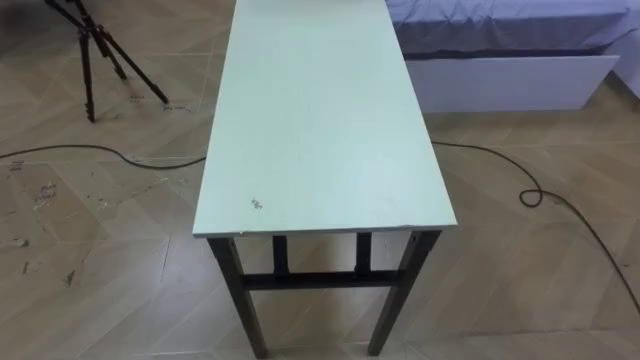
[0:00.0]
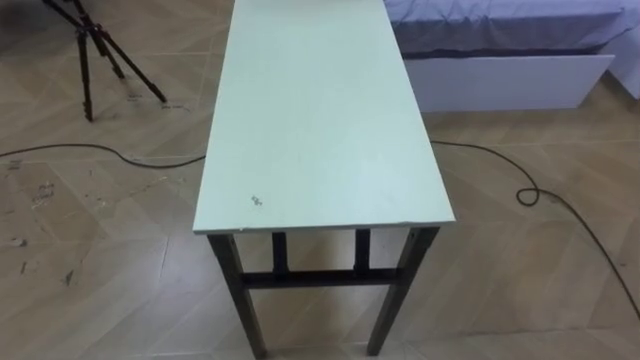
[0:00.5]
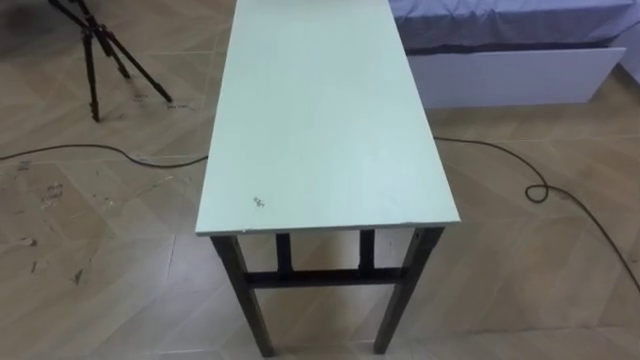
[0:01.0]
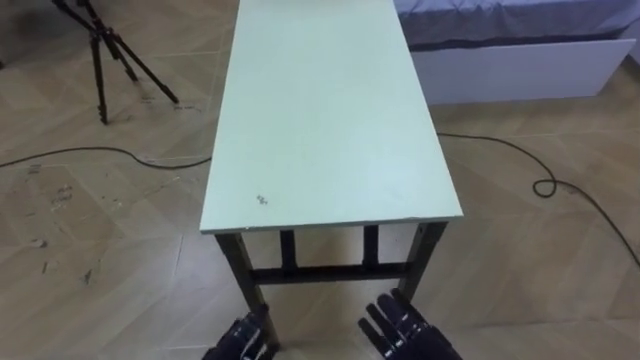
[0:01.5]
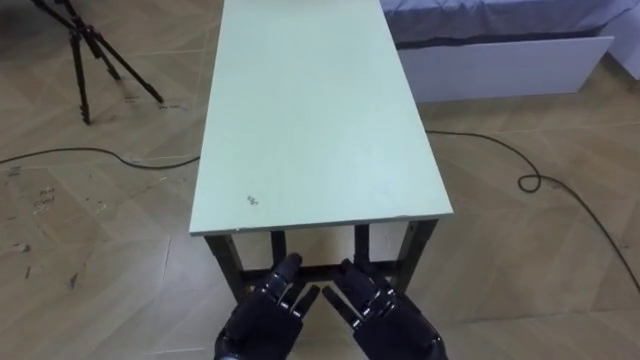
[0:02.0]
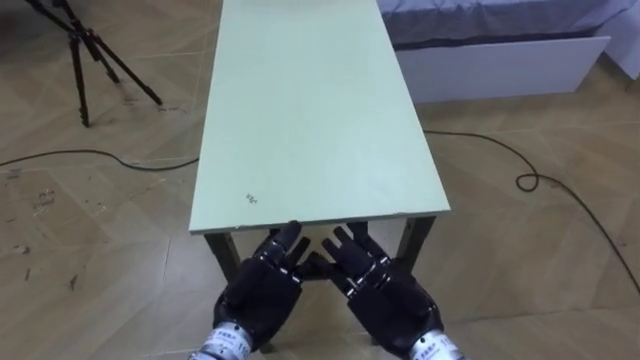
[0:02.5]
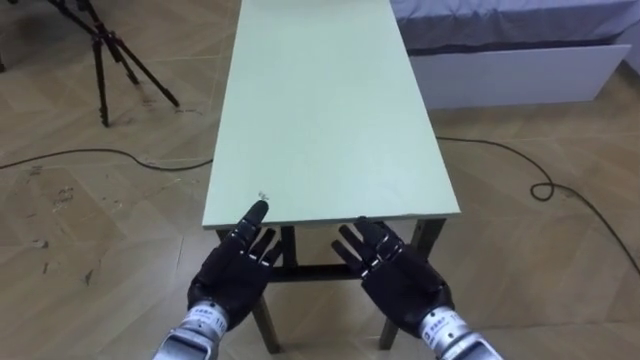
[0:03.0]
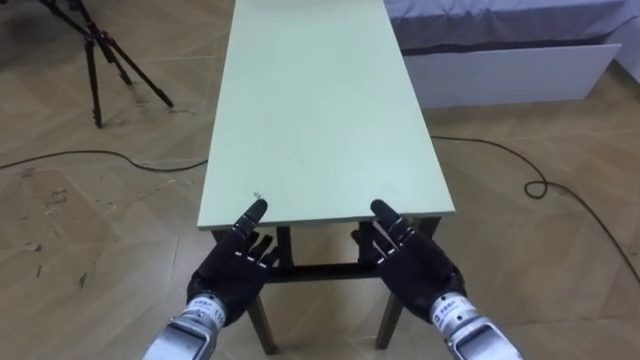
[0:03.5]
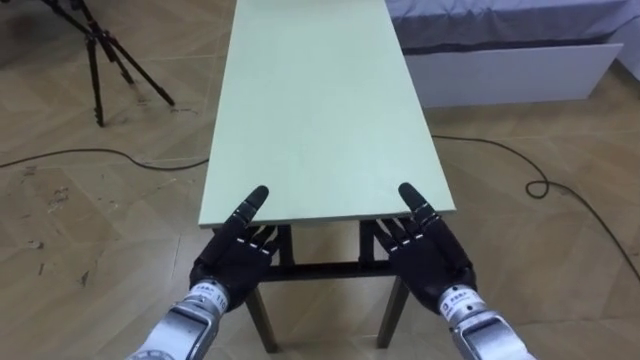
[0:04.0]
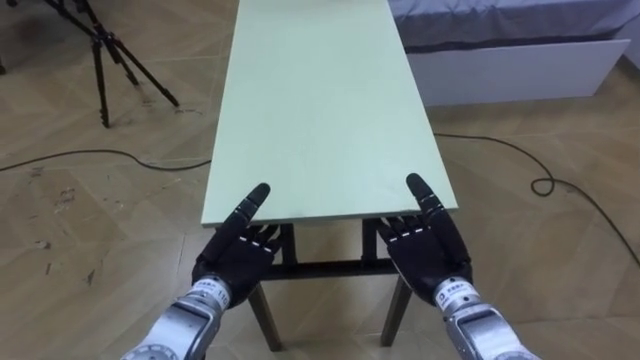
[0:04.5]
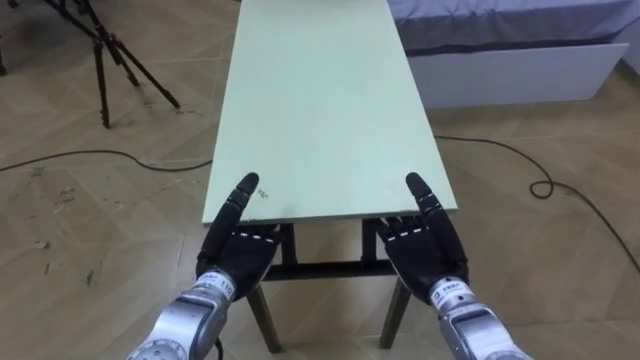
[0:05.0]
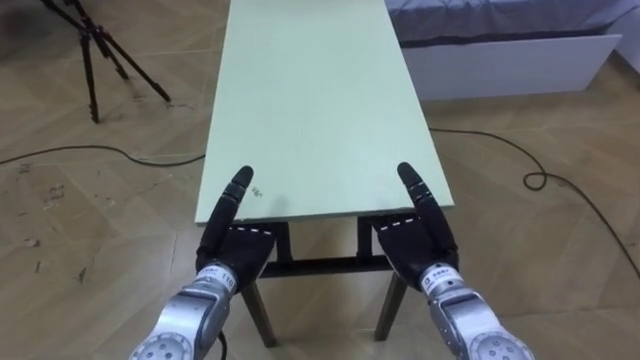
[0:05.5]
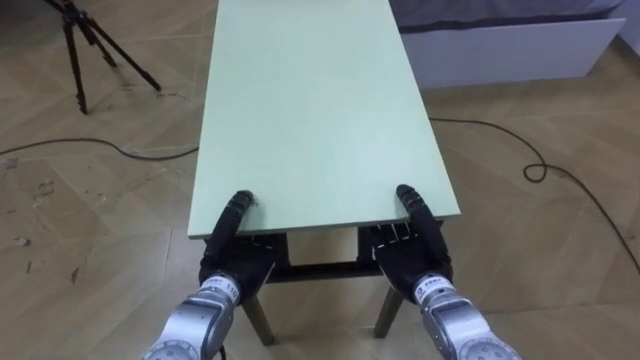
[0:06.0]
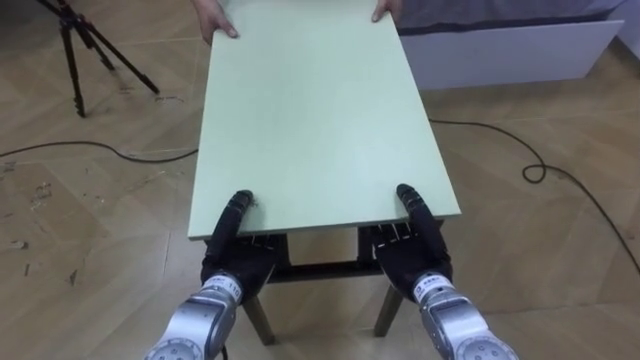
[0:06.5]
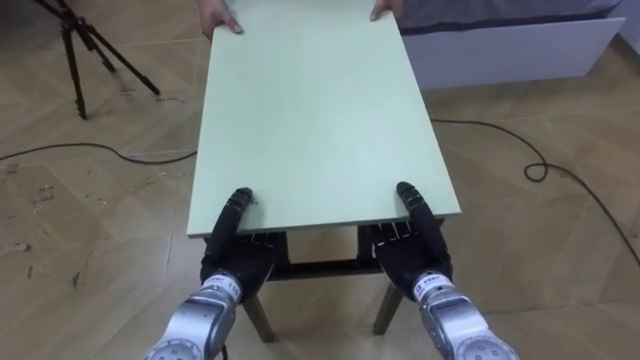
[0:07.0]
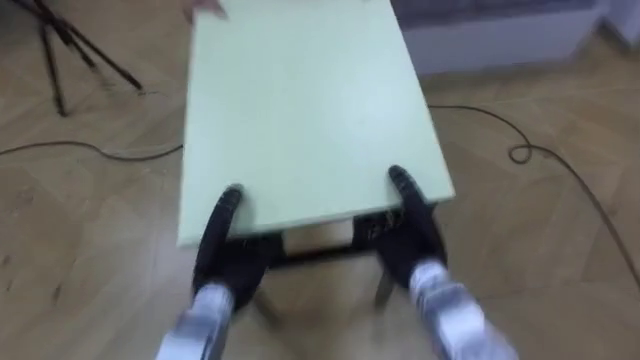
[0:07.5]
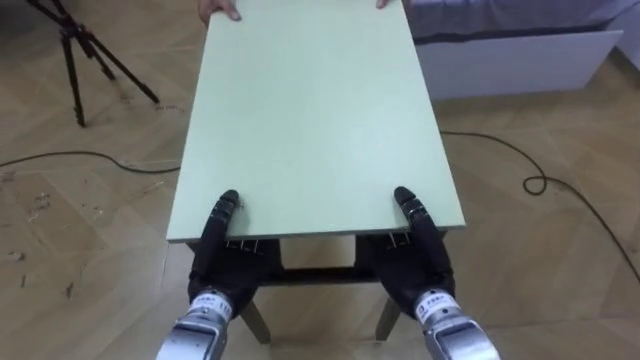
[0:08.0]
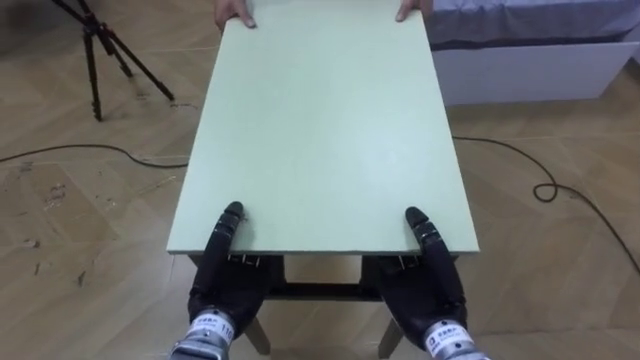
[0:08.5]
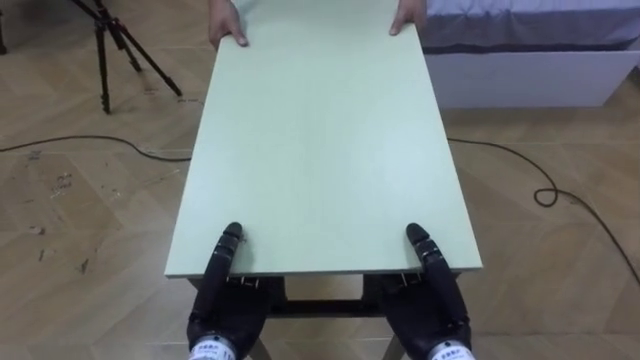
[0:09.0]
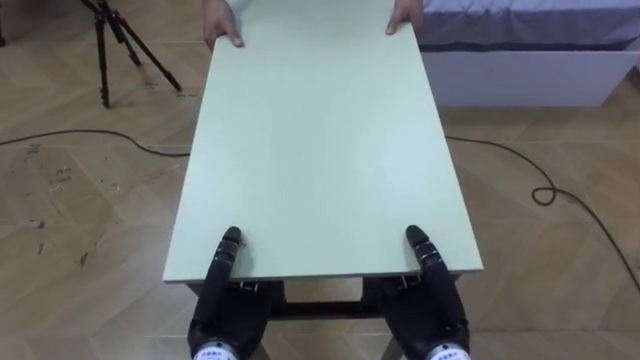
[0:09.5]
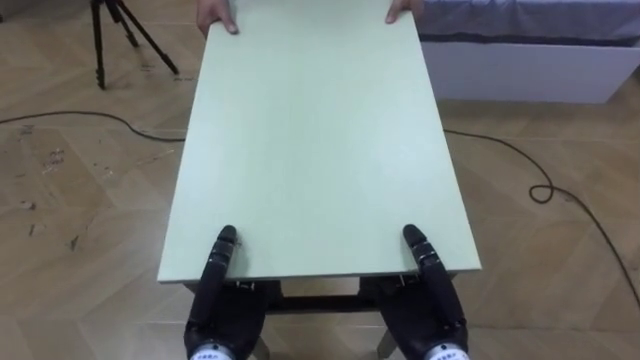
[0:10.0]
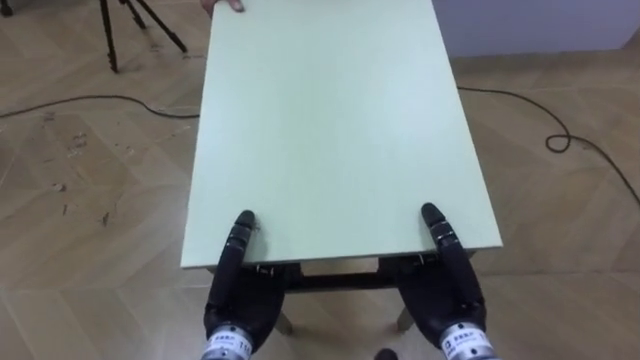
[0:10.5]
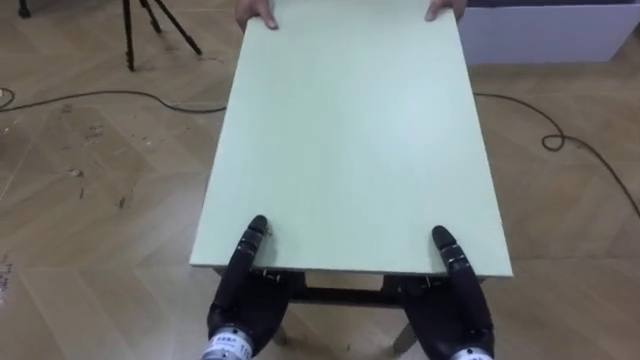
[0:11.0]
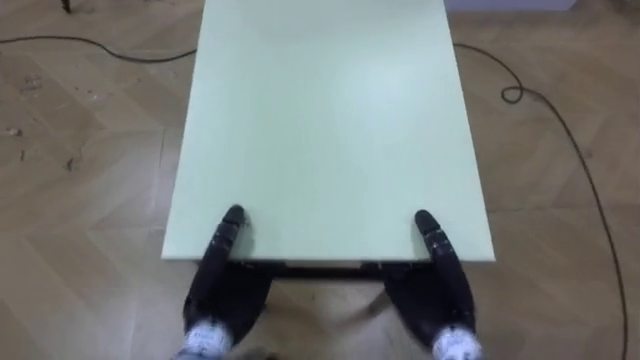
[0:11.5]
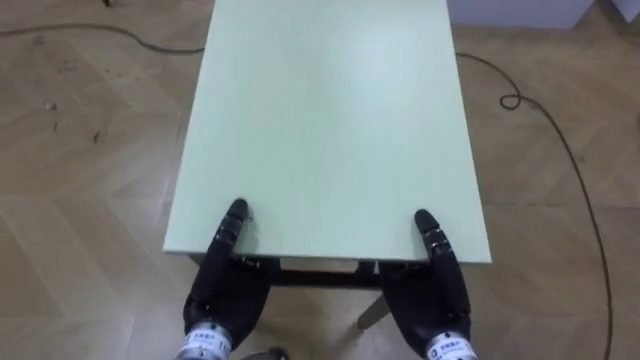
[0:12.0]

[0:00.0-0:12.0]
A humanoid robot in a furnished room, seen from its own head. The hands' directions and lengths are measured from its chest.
Task of the whole recording: Move the table to the back left with someone.
0:02.0 to 0:04.0: The left hand shifts some 10 cm forward. The right hand shifts roughly 10 cm forward and to the right.
0:04.0 to 0:06.0: The left hand closes its fingers. The right hand closes.
0:08.0 to 0:10.0: Both hands move backward, about 5 cm.

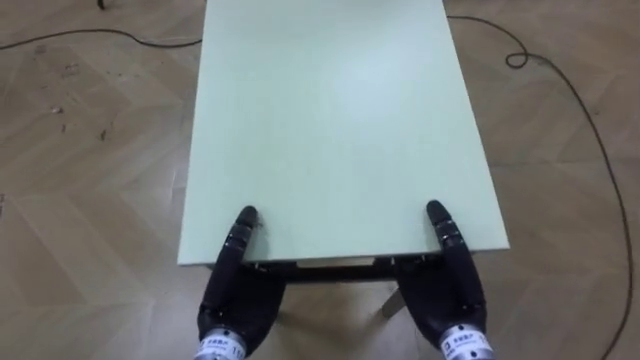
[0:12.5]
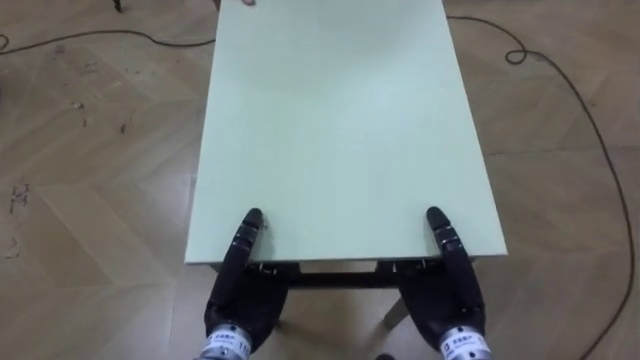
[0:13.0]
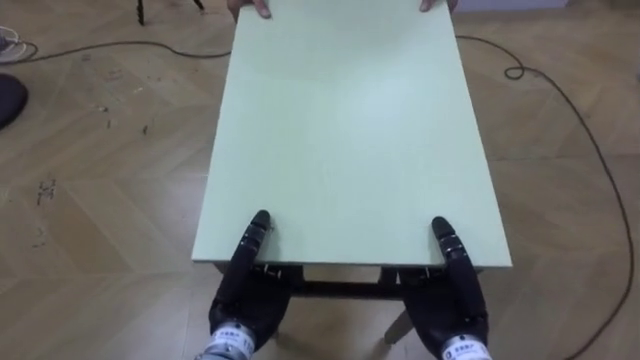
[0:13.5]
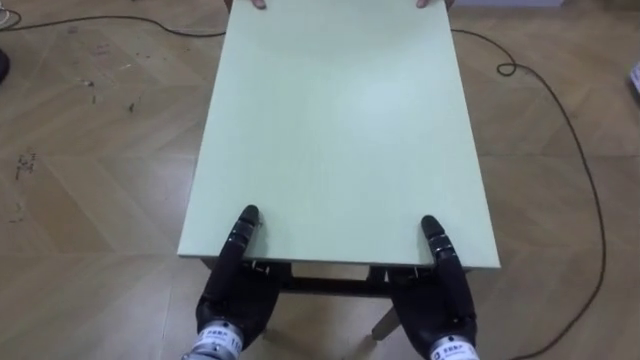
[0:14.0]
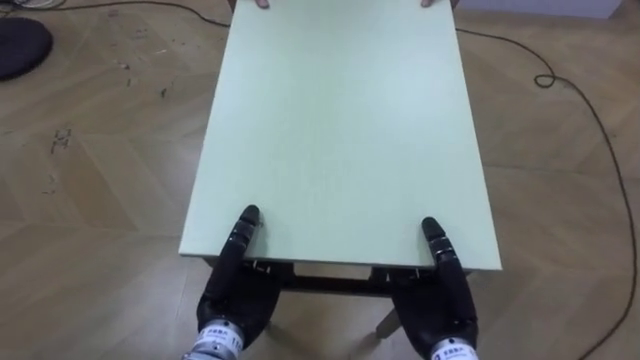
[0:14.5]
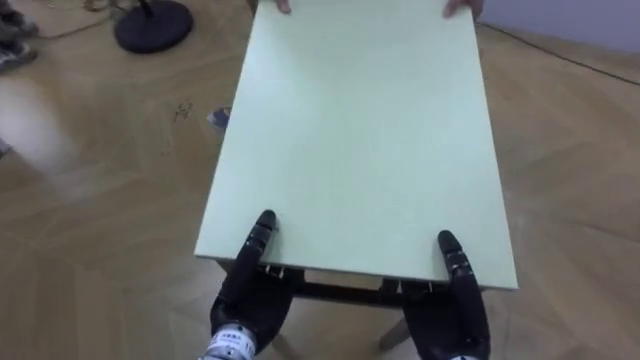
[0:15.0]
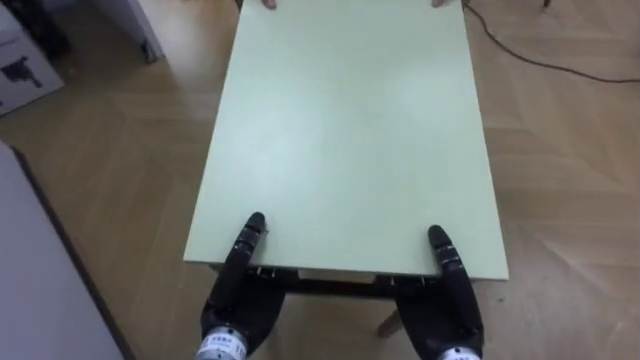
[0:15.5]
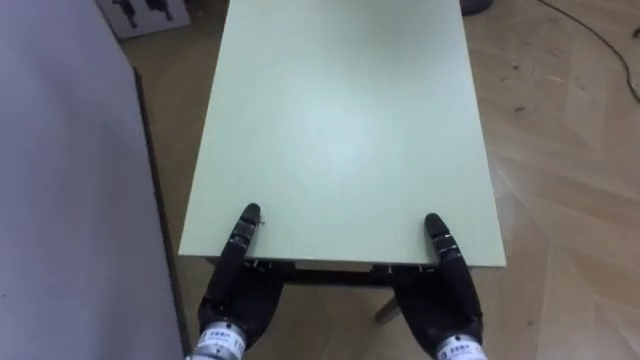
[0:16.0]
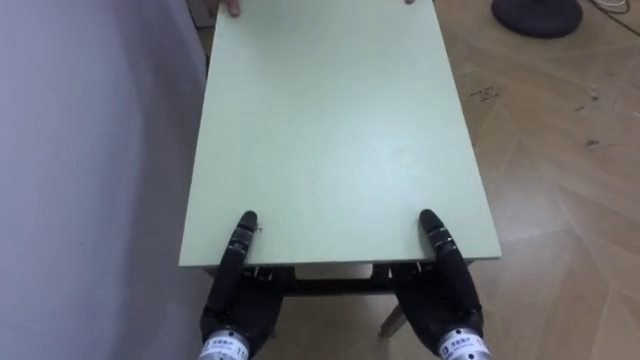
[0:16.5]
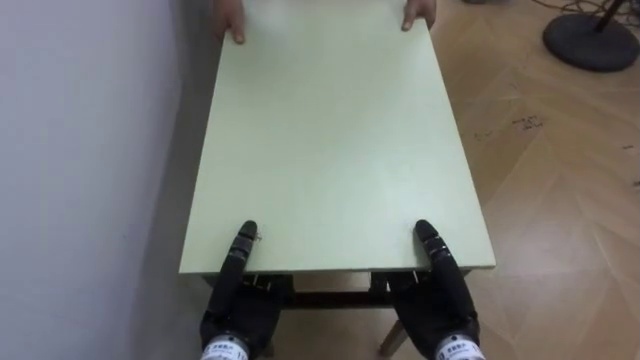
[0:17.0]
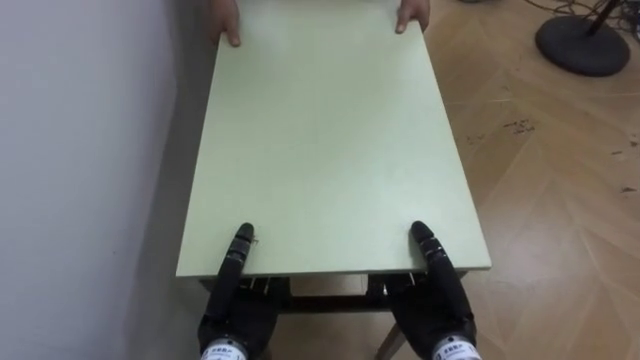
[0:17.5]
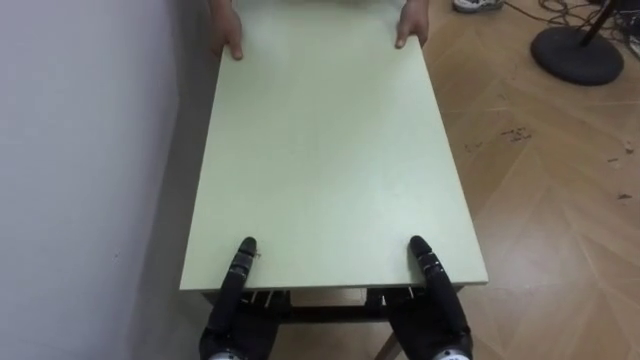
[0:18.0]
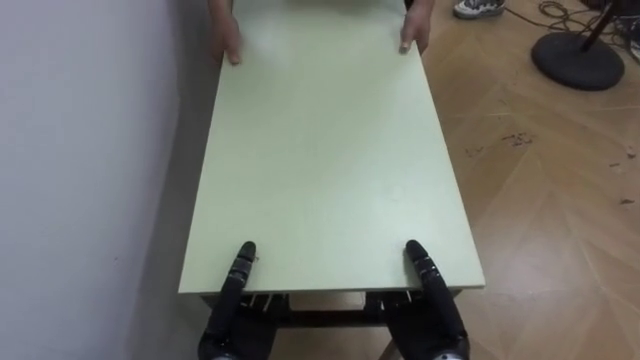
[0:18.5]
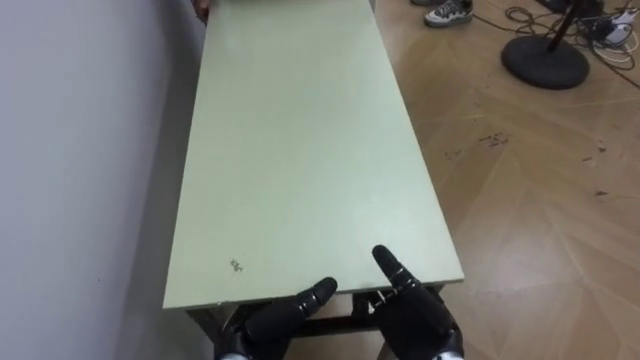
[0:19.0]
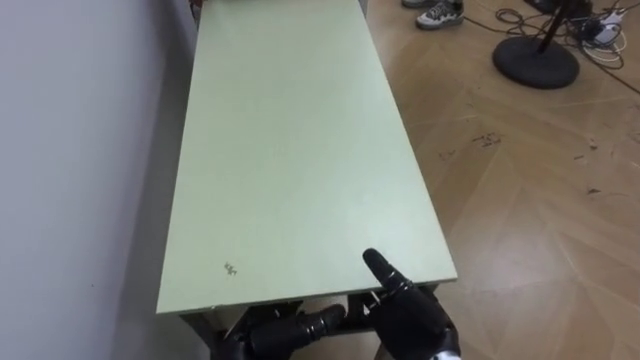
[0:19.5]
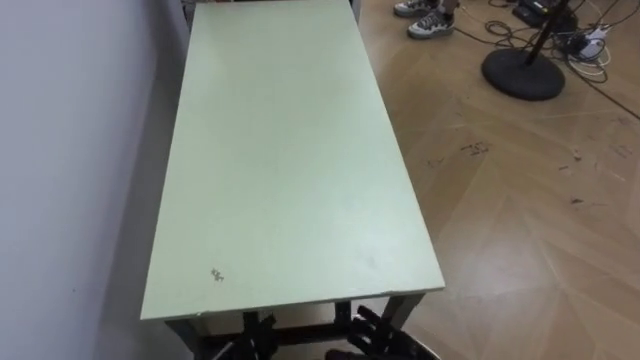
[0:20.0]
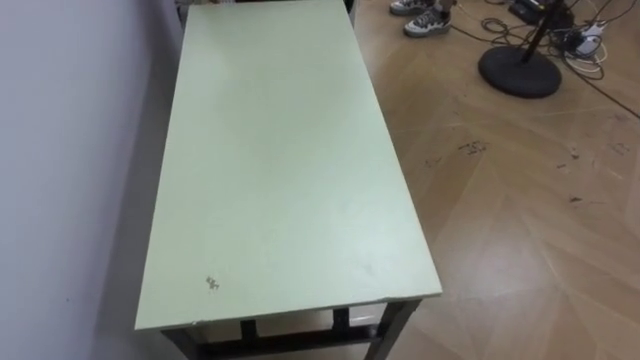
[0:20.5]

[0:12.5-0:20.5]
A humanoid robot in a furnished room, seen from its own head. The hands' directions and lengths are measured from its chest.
Task of the whole recording: Move the table to the back left with someone.
0:14.5 to 0:16.5: The robot faces some 65 degrees further to its left.
0:16.5 to 0:18.5: The left hand changes place by roughly 5 cm.
